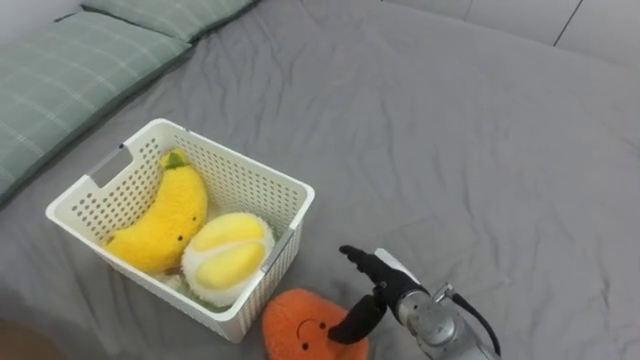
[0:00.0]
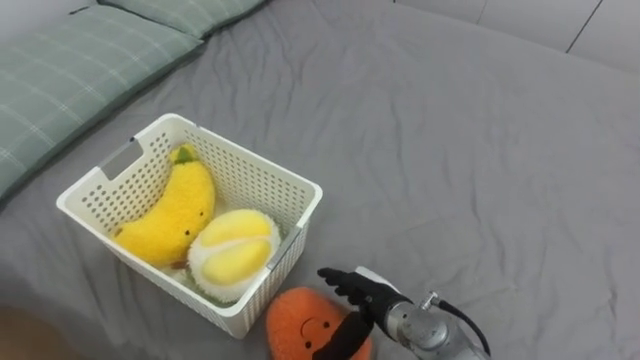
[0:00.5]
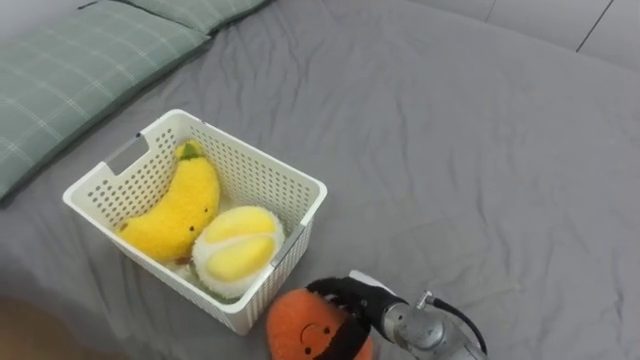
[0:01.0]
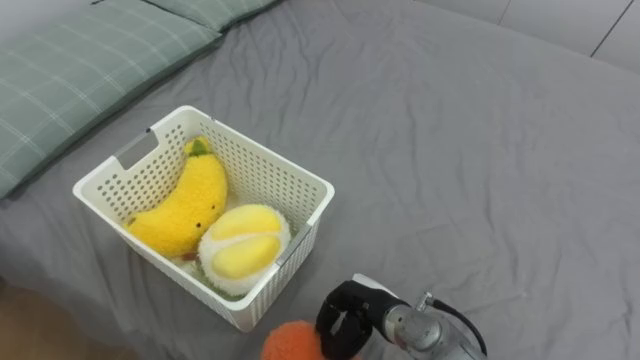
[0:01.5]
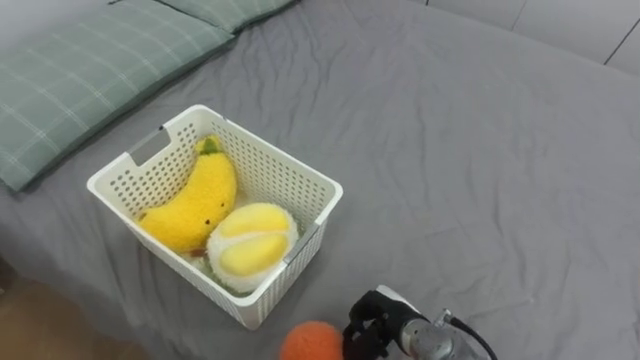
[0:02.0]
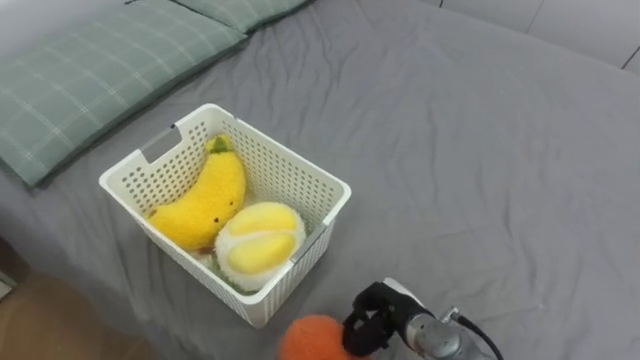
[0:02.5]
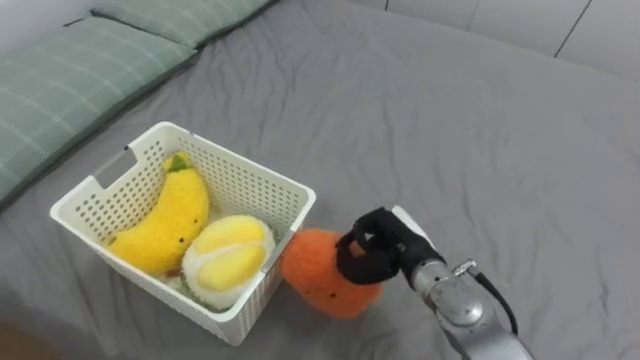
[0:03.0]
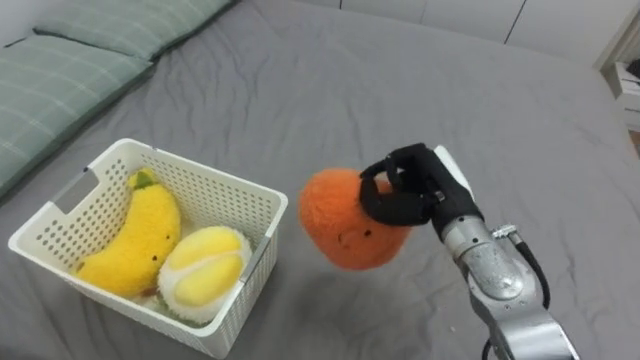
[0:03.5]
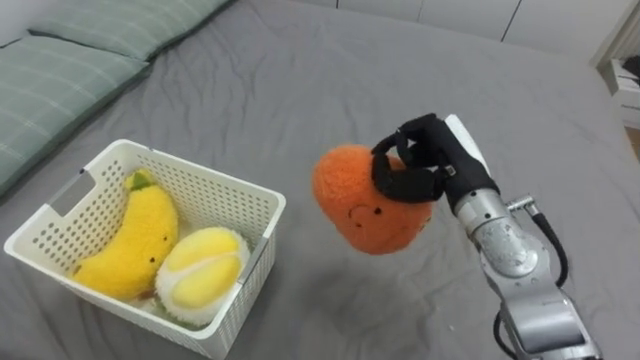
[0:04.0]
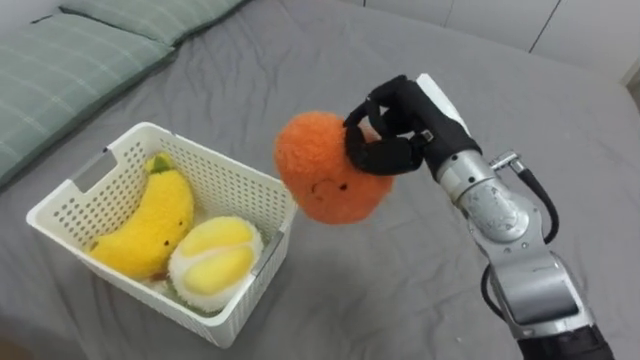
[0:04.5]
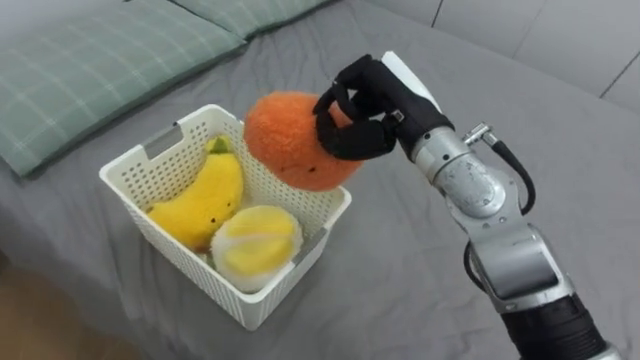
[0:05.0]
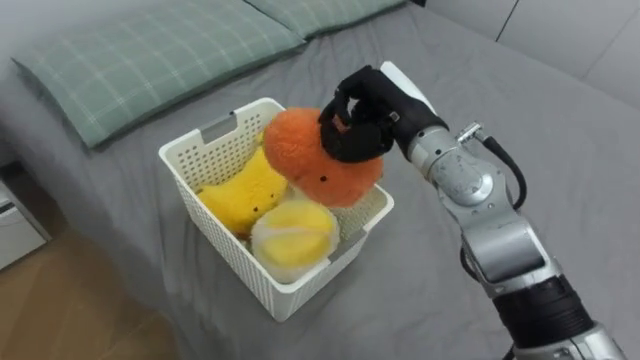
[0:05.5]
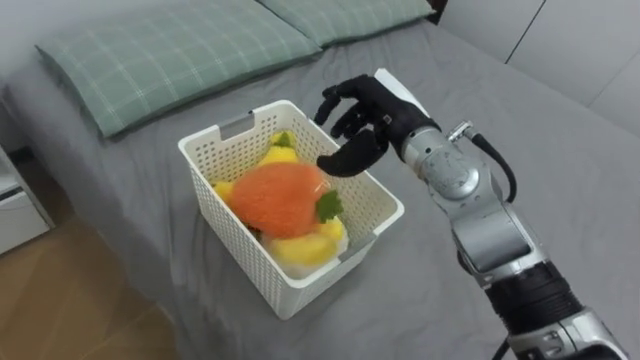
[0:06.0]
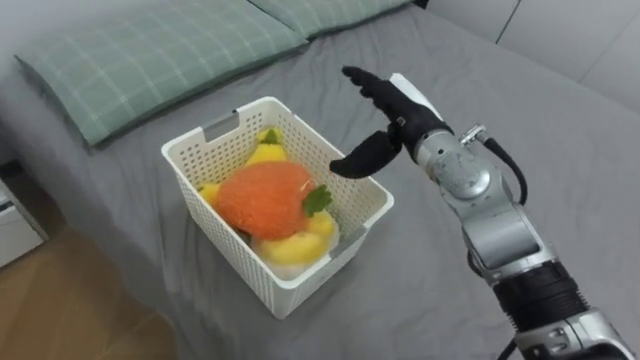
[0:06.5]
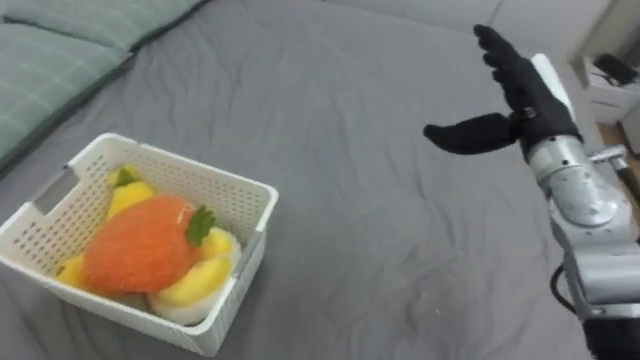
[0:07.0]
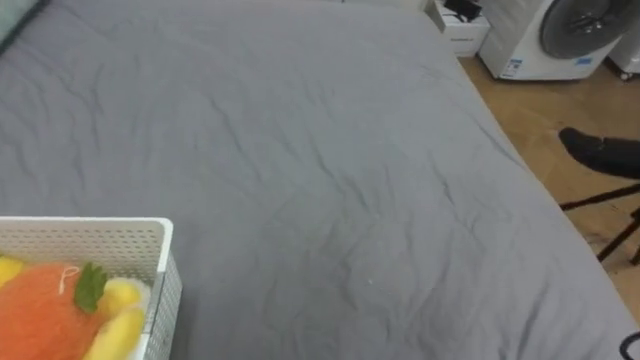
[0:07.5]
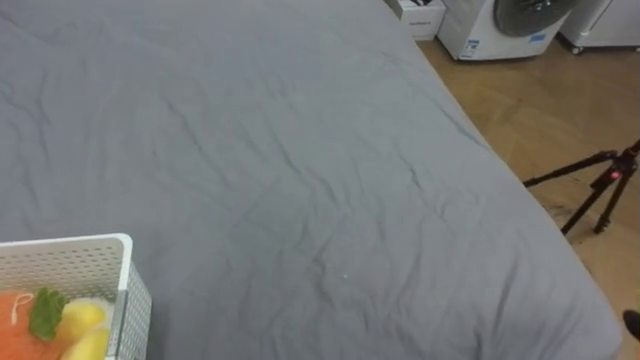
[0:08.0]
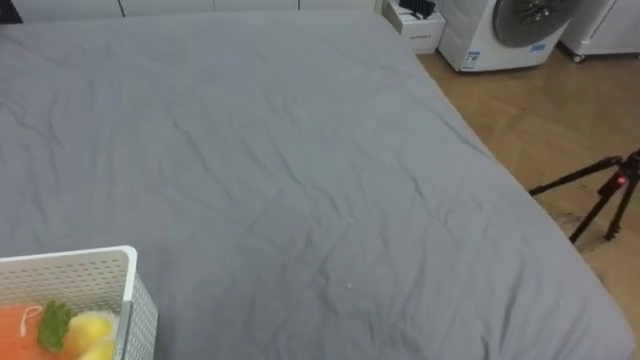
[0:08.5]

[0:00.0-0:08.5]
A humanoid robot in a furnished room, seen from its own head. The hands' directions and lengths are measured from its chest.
Task of the whole recording: Put the toys on the bed into the basket on the left.
0:00.0 to 0:02.0: The right hand travels downward by about 5 cm, and closes its fingers.
0:02.0 to 0:04.0: The right hand goes roughly 25 cm upward and forward.
0:04.0 to 0:06.5: The right hand shifts about 10 cm to the left and forward, and opens its fingers.

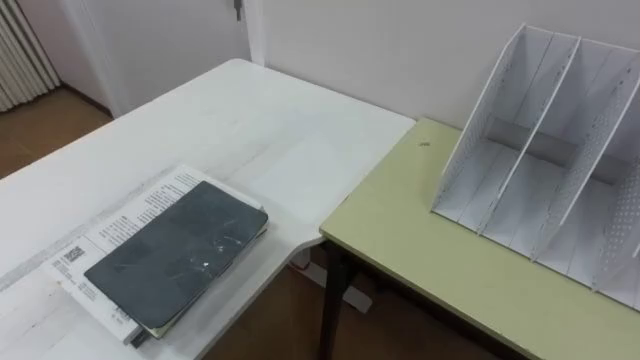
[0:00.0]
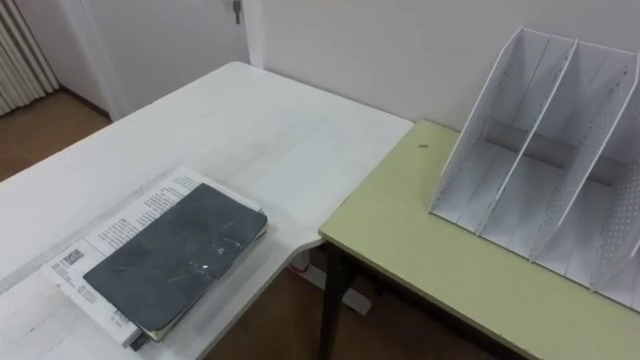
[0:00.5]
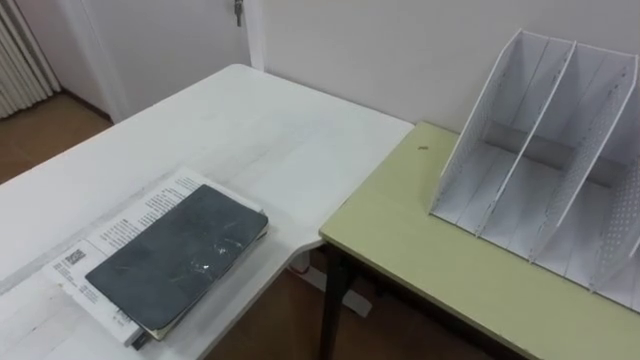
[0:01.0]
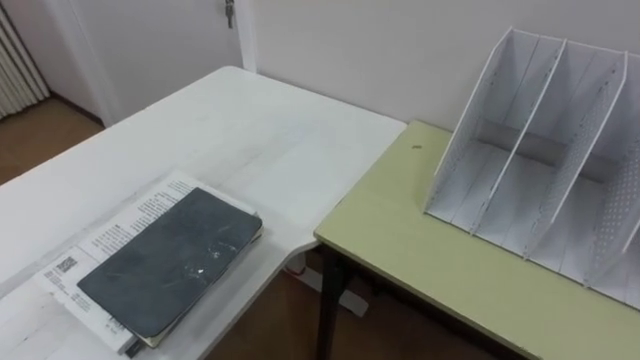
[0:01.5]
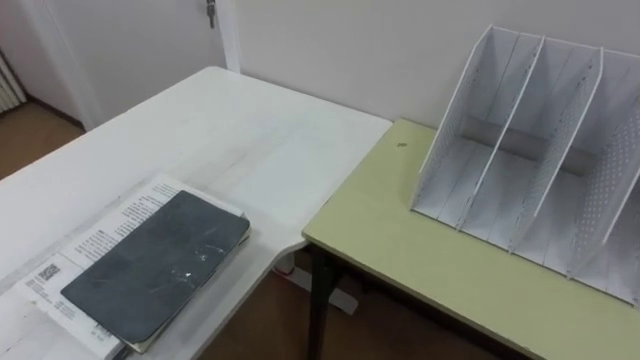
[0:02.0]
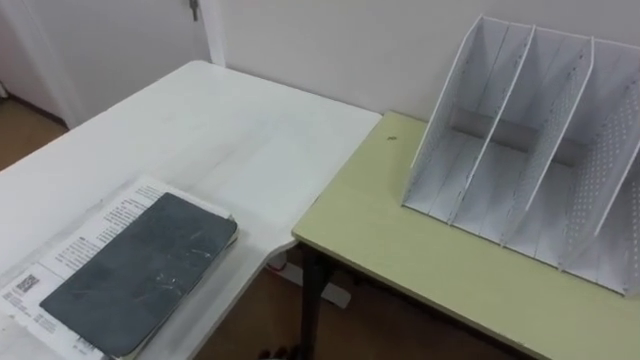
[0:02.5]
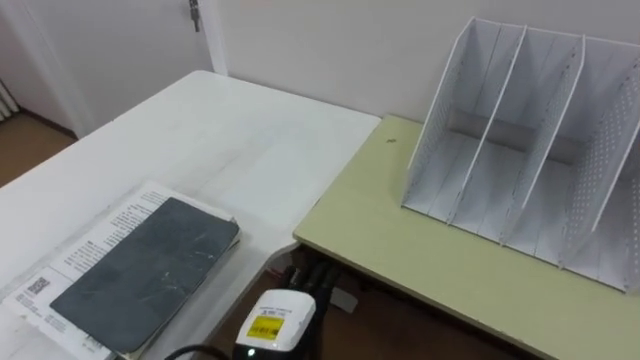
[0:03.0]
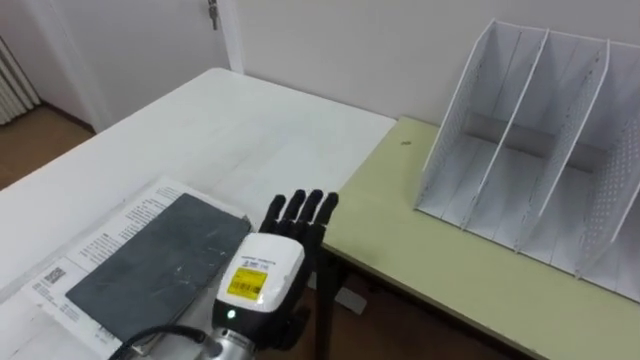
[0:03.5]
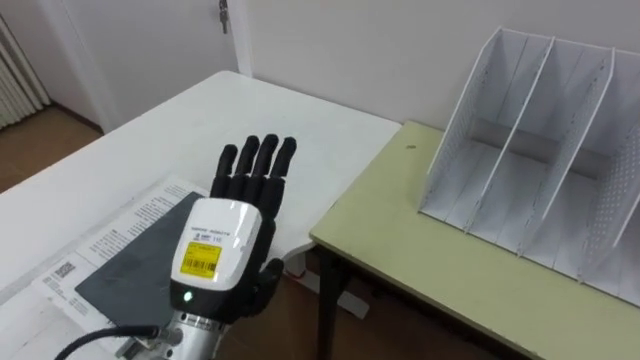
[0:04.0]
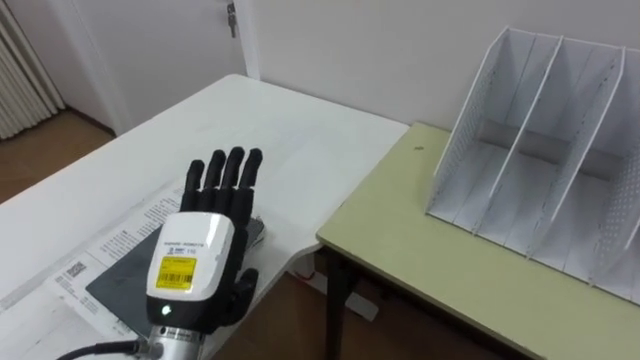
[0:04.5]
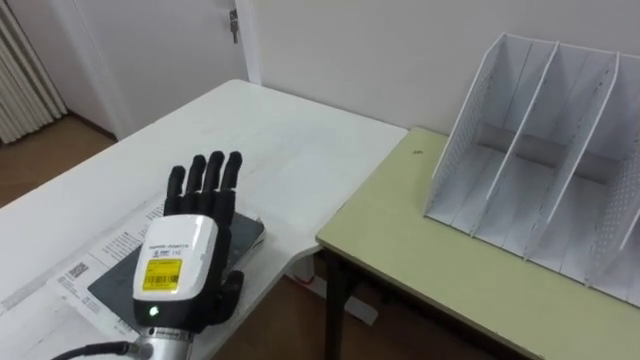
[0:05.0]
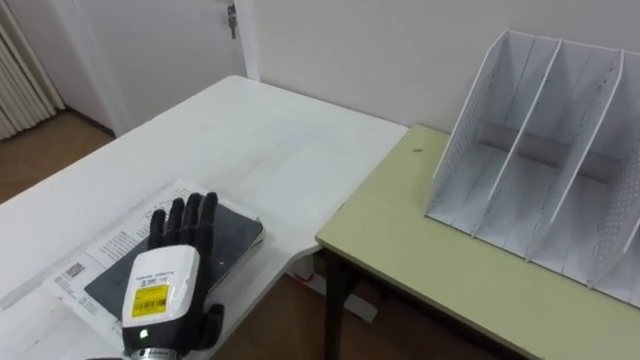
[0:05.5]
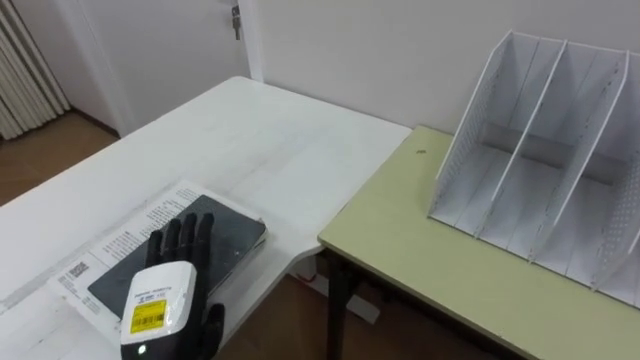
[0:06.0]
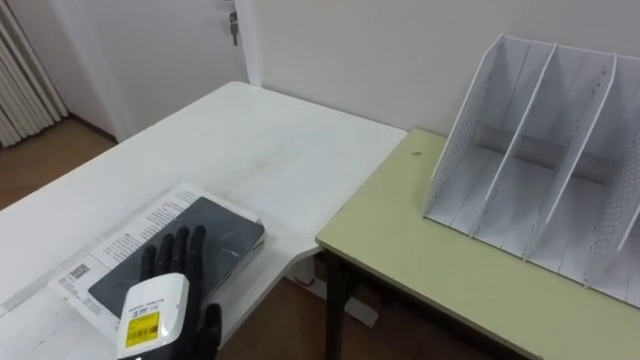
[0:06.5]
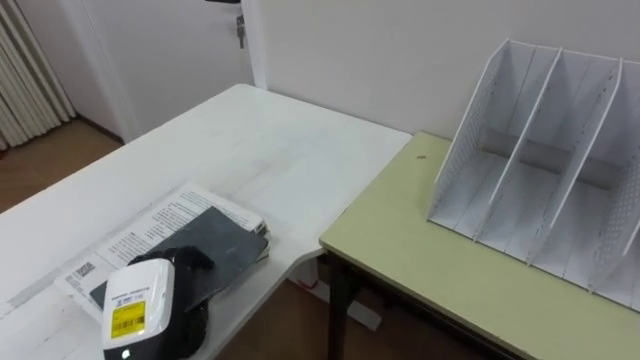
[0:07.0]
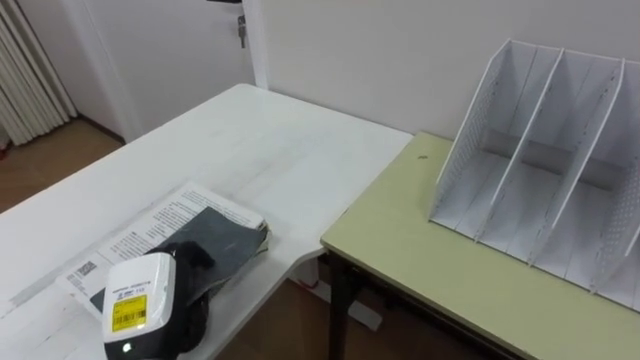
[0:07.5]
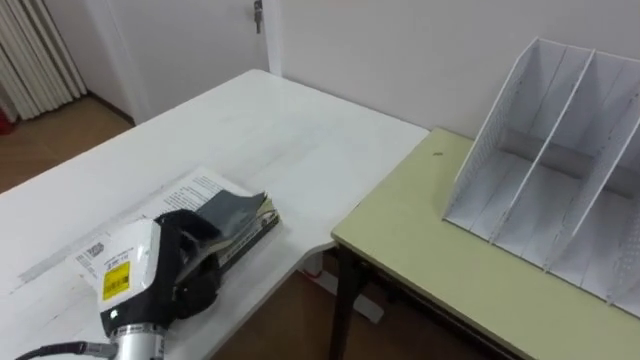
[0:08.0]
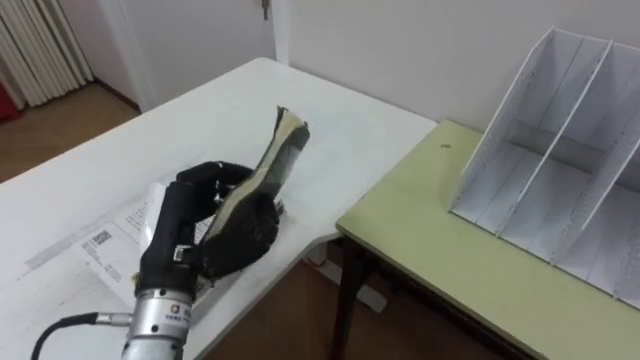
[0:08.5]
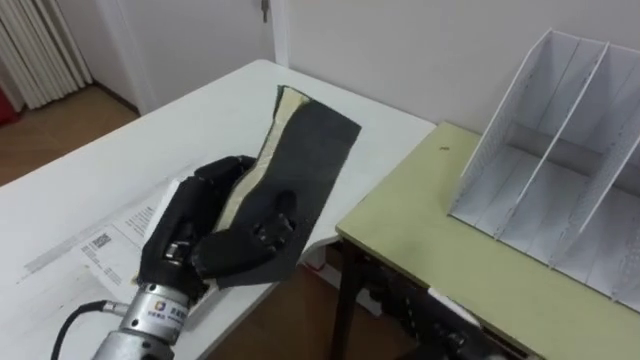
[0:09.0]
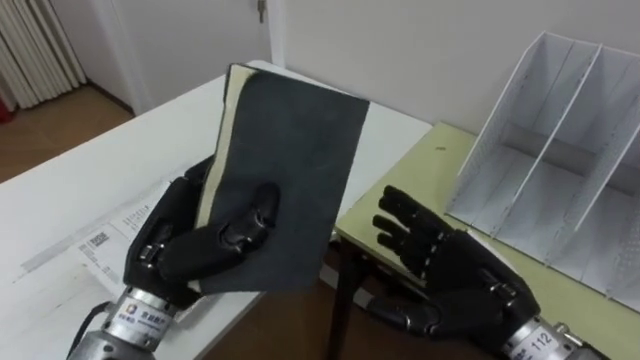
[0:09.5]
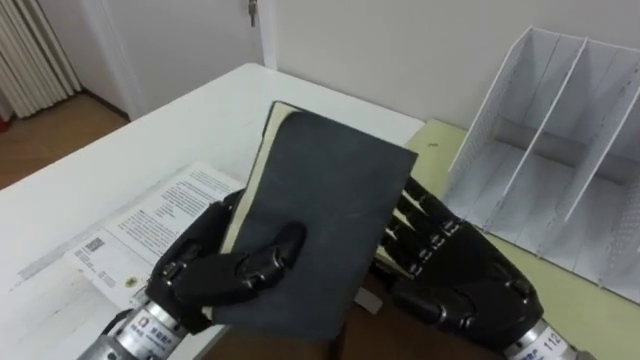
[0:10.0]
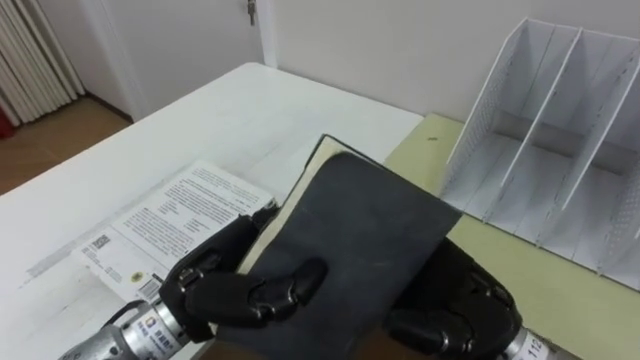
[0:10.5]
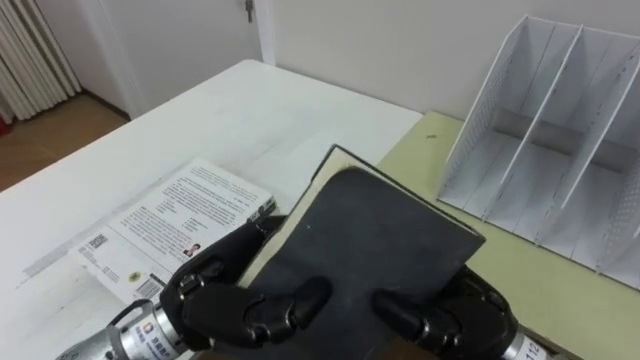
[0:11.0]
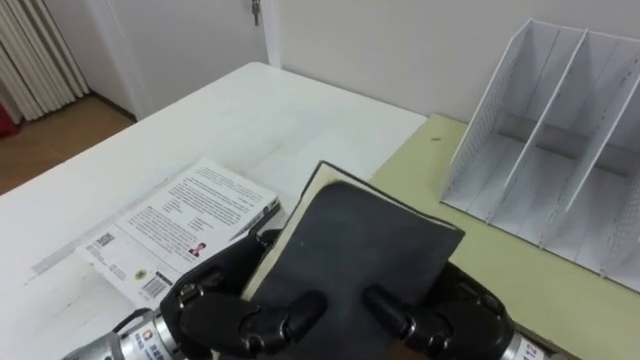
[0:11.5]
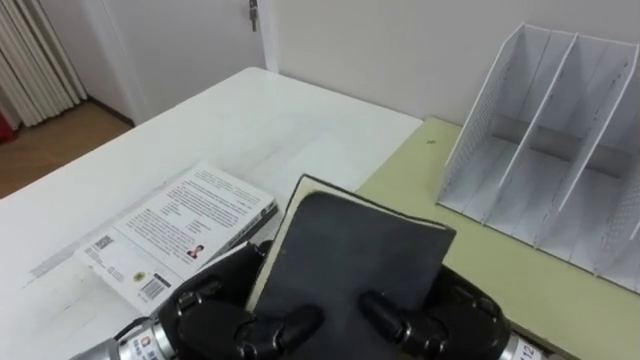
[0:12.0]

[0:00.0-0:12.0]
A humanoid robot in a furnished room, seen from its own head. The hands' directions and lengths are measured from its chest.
Task of the whole recording: Put the books on the table onto the bookshelf.
0:04.0 to 0:06.0: The left hand travels downward and to the left by roughly 10 cm.
0:06.0 to 0:08.0: The left hand ends up roughly 5 cm from where it was, and closes its fingers.
0:08.0 to 0:10.0: The left hand heads to the right and upward, covering approximately 10 cm.
0:10.0 to 0:12.0: The right hand moves approximately 5 cm, and closes.
